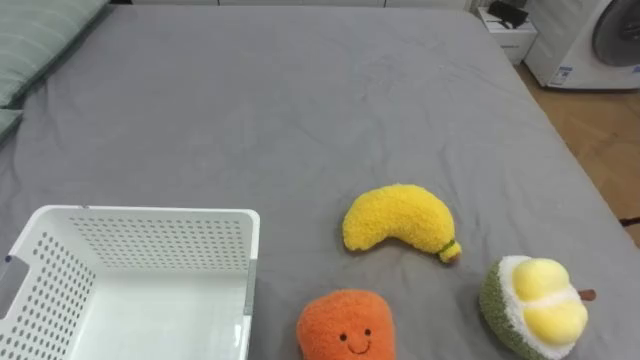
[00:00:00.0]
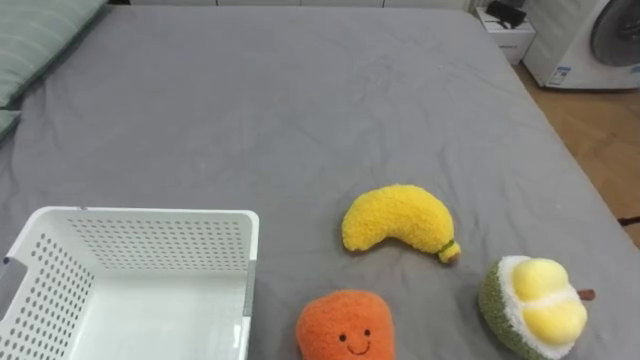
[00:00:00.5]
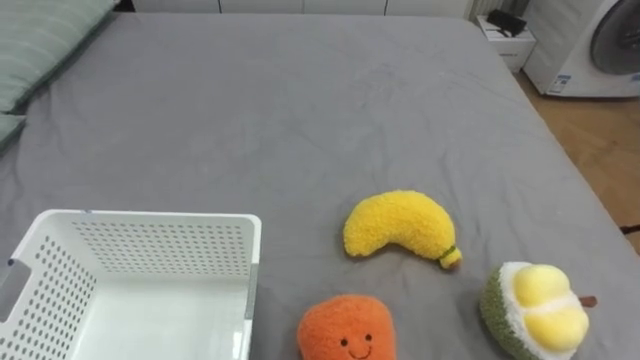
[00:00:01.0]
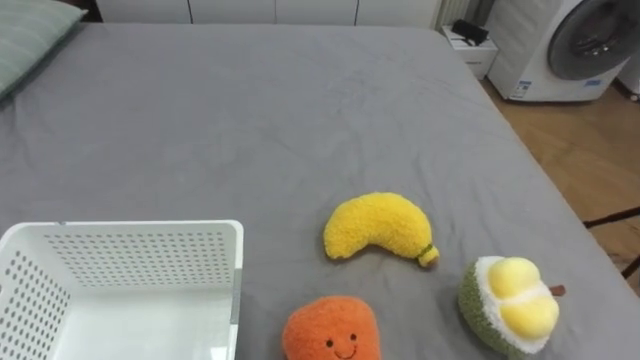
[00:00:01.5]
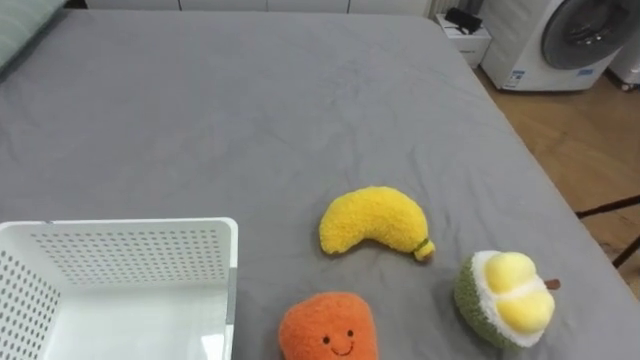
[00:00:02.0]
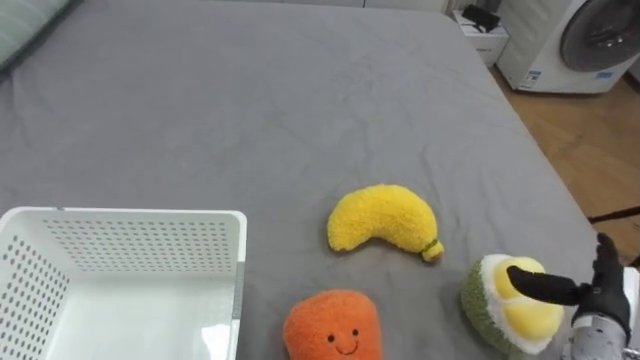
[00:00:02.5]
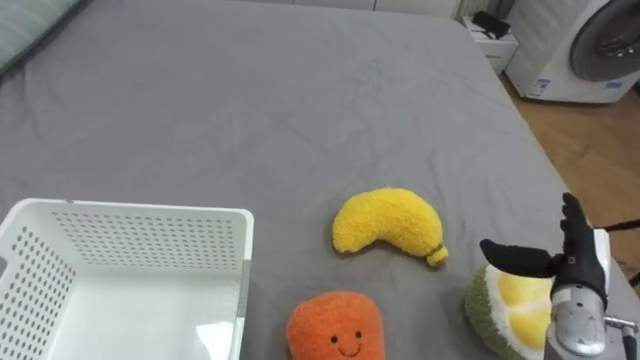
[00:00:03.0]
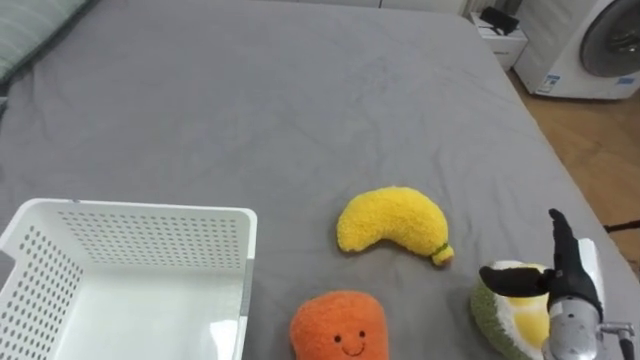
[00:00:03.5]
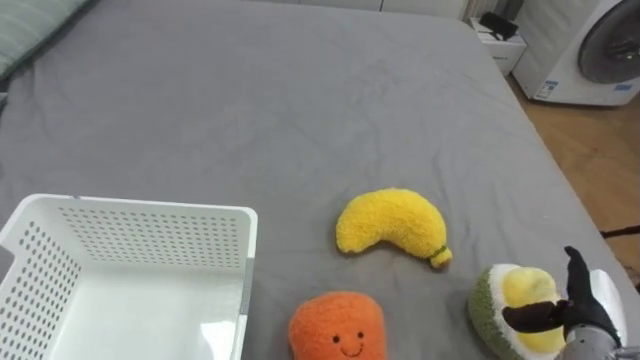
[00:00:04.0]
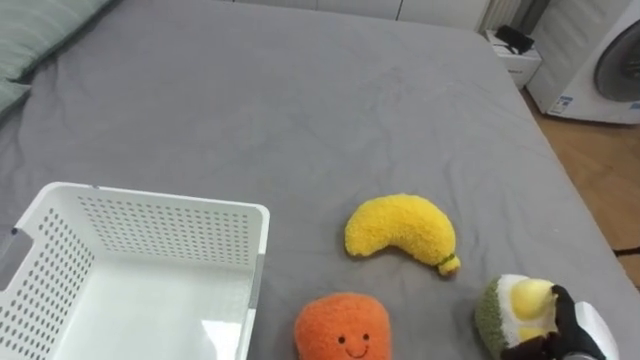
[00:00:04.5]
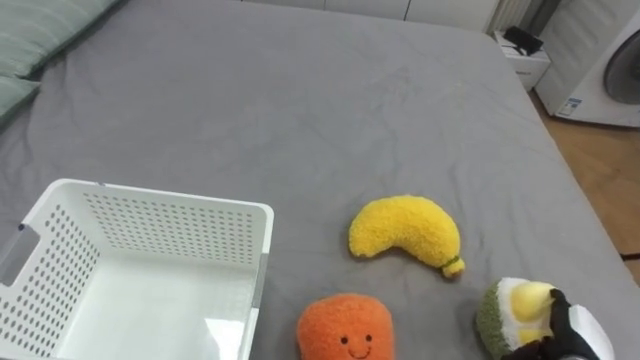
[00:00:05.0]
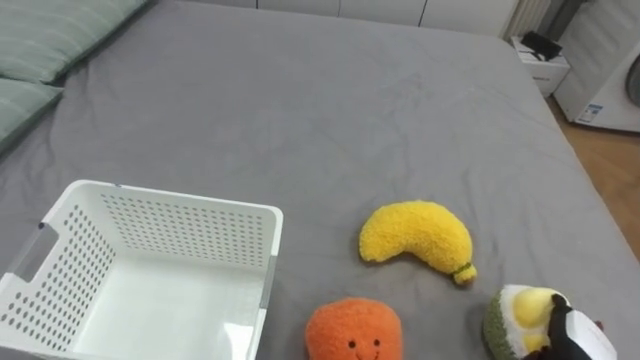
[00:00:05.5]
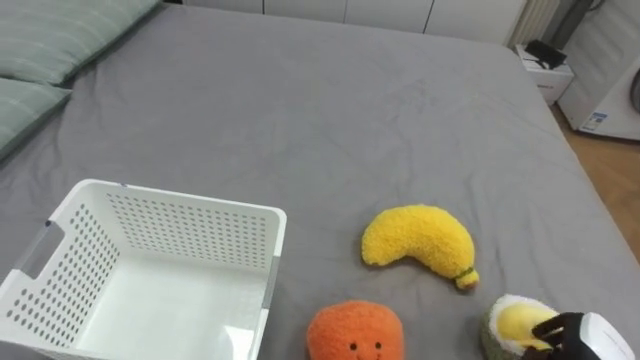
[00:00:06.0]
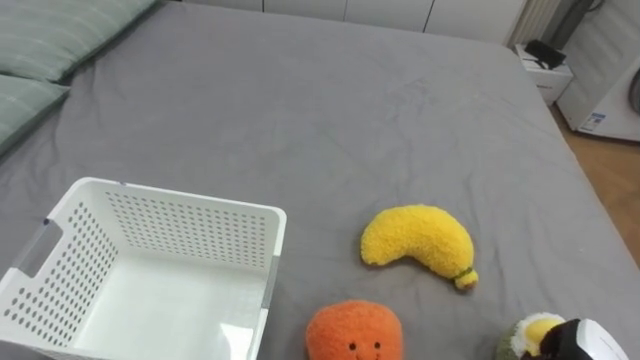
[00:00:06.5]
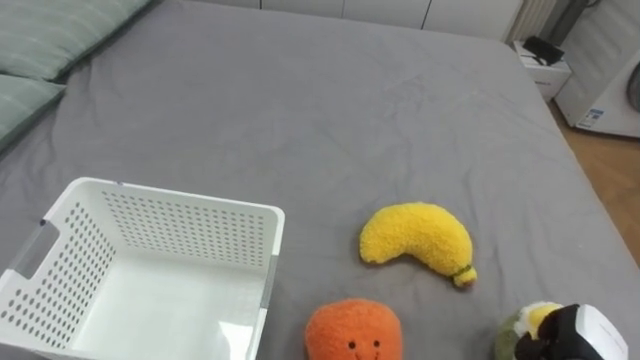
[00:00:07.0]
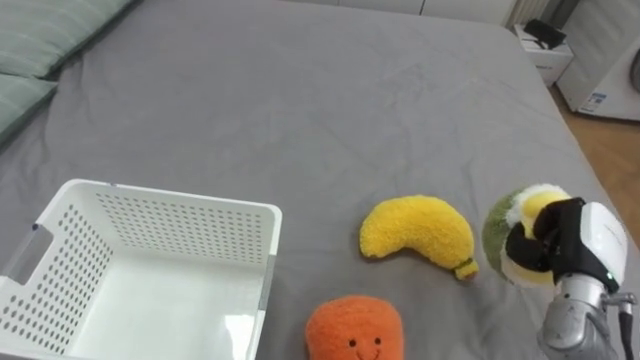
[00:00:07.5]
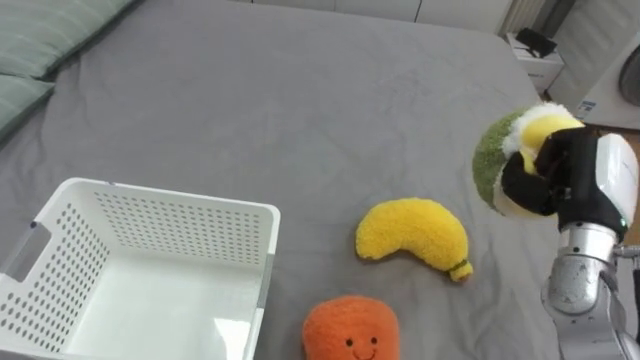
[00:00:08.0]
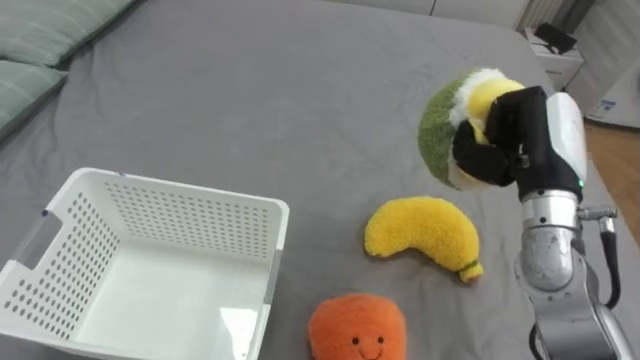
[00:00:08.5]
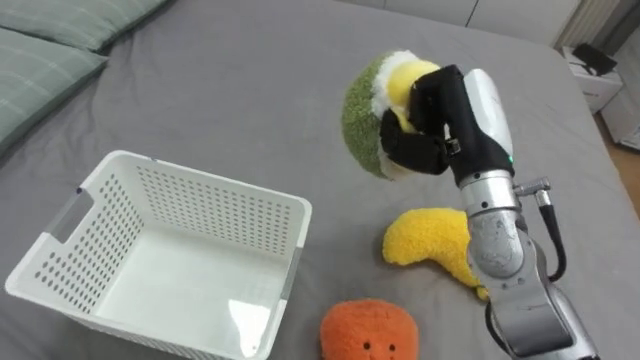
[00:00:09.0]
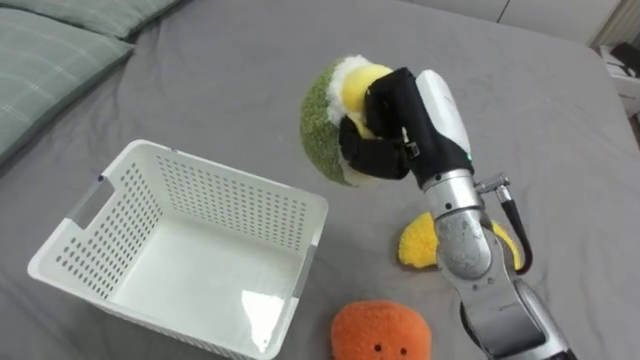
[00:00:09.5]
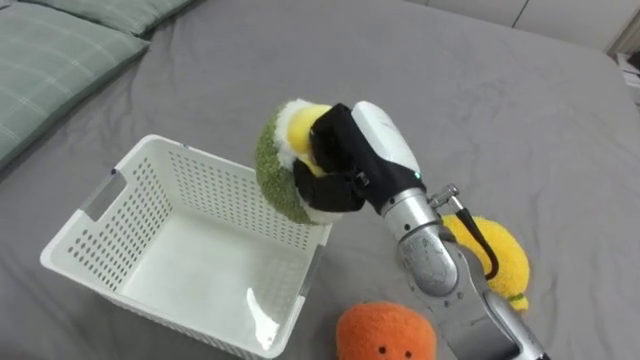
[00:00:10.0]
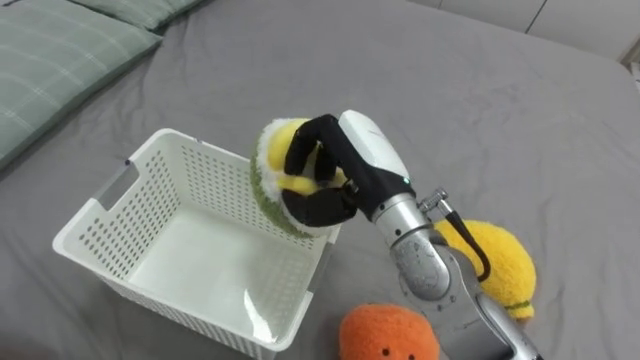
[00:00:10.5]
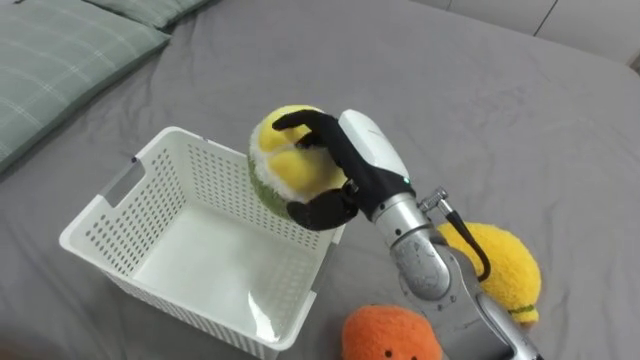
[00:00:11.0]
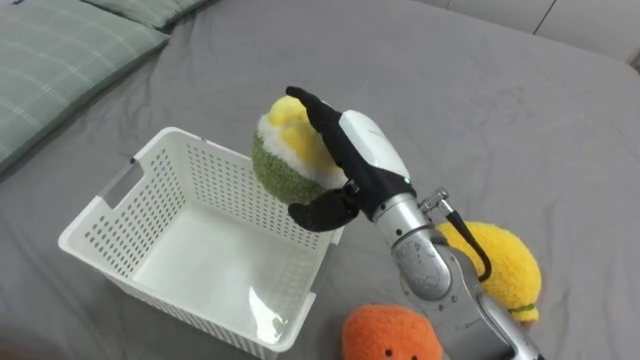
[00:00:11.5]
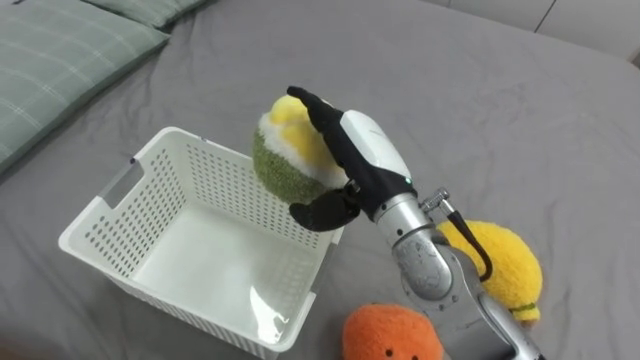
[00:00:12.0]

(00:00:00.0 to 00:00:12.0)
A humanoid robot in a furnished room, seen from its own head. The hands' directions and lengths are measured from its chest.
Task of the whole recording: Put the toys on the bed into the basket on the left.
00:00:04.0 - 00:00:06.0: The right hand ends up some 5 cm from where it was, and closes.
00:00:06.0 - 00:00:08.0: The right hand travels upward and forward by some 25 cm, and closes its fingers.
00:00:08.0 - 00:00:10.0: The right hand heads to the left, covering approximately 25 cm.
00:00:10.0 - 00:00:12.0: The right hand opens its fingers.

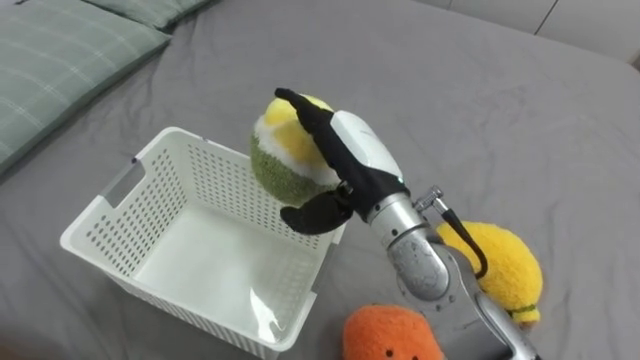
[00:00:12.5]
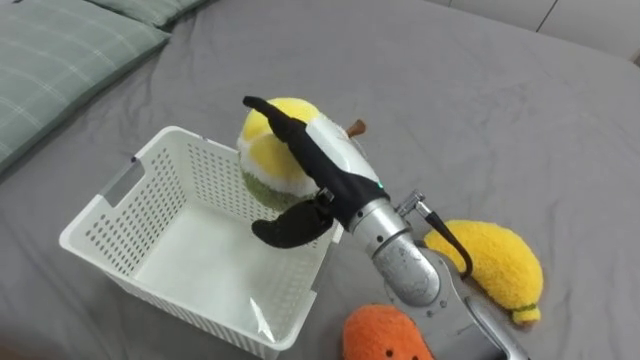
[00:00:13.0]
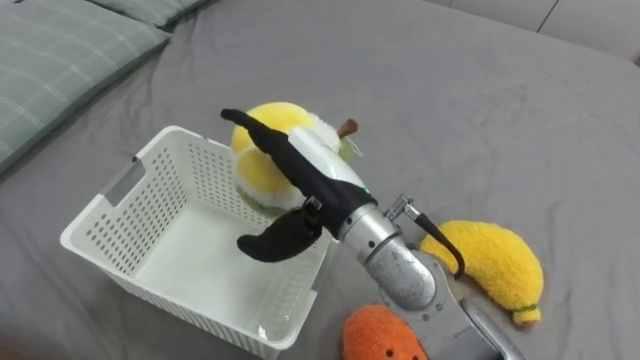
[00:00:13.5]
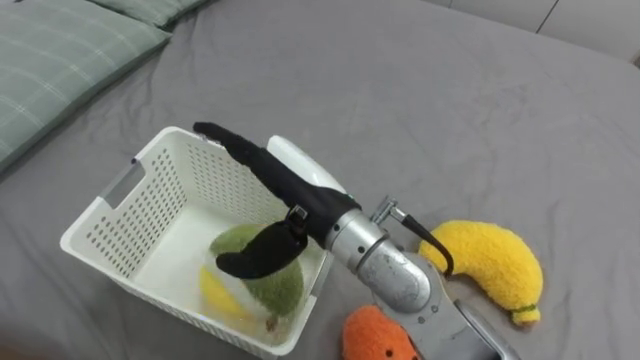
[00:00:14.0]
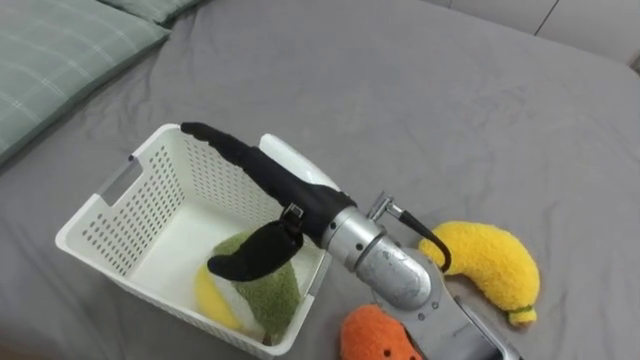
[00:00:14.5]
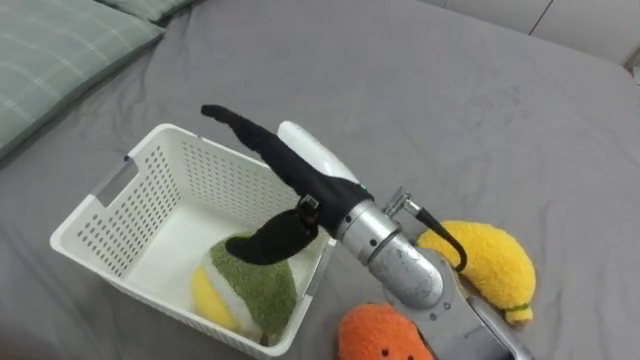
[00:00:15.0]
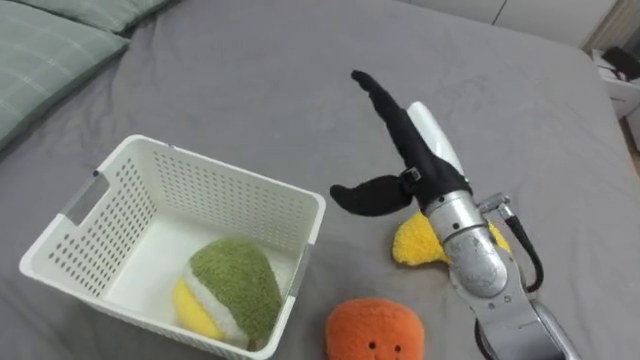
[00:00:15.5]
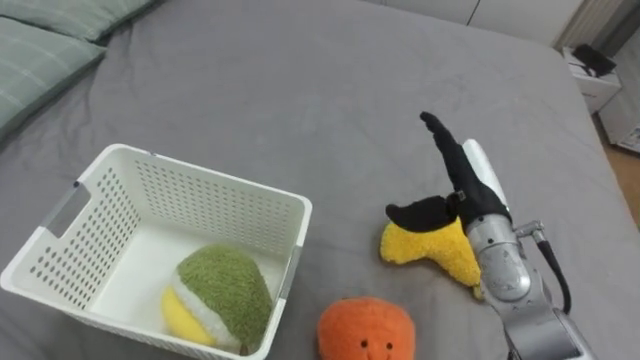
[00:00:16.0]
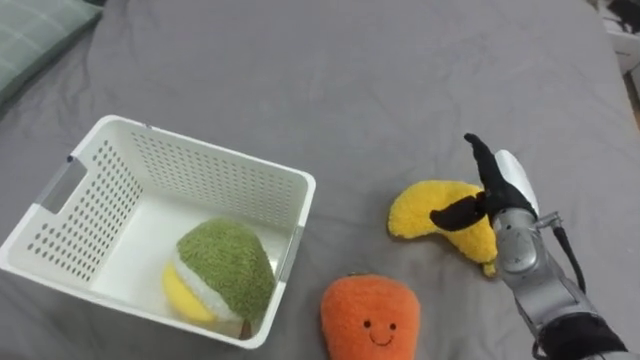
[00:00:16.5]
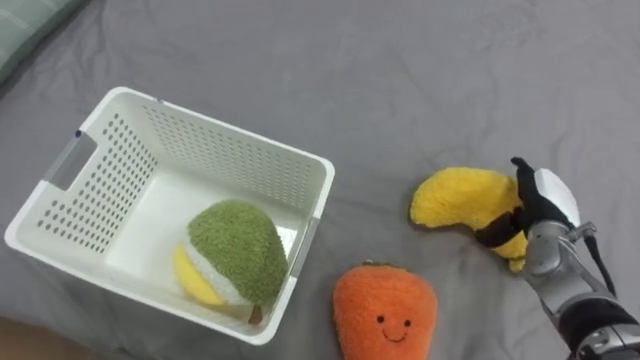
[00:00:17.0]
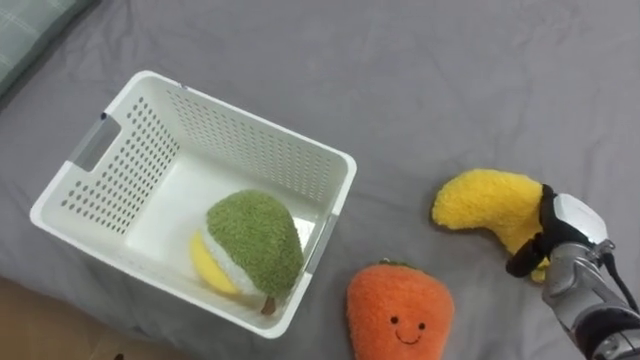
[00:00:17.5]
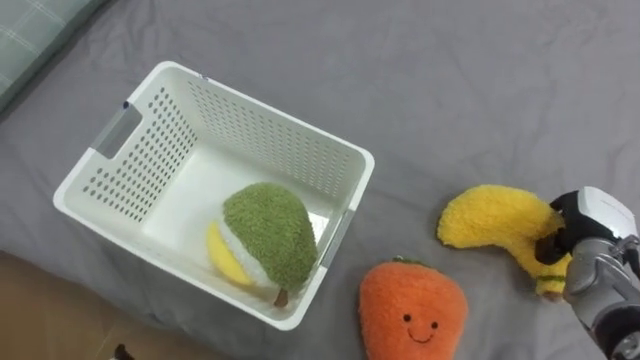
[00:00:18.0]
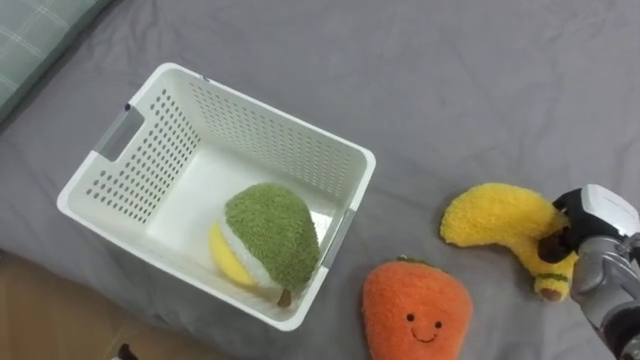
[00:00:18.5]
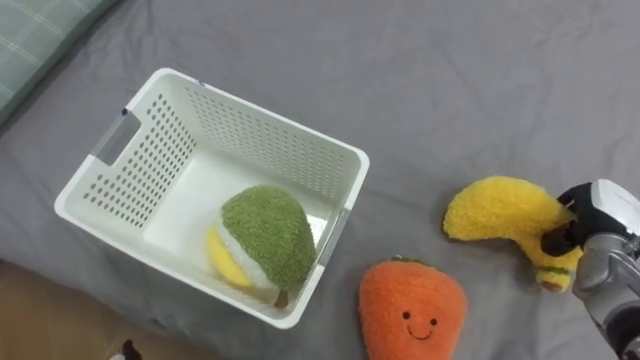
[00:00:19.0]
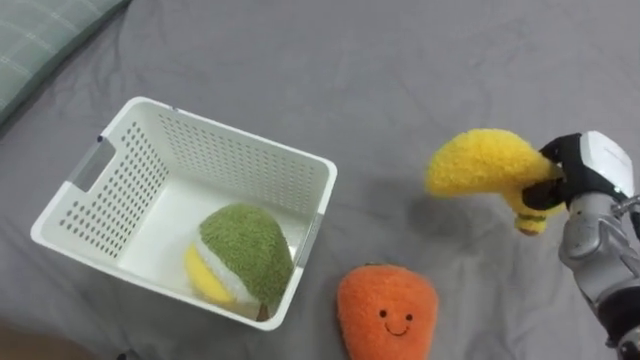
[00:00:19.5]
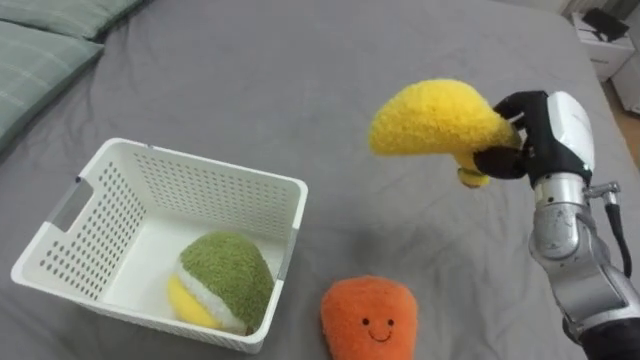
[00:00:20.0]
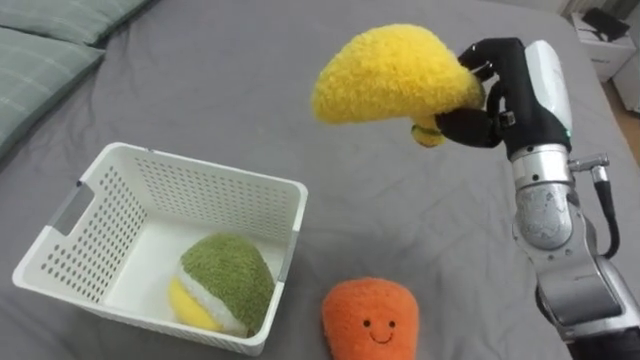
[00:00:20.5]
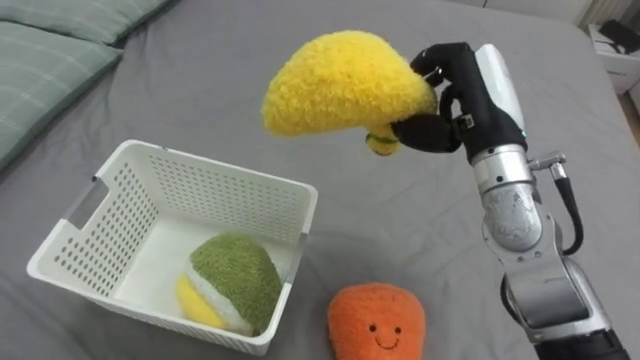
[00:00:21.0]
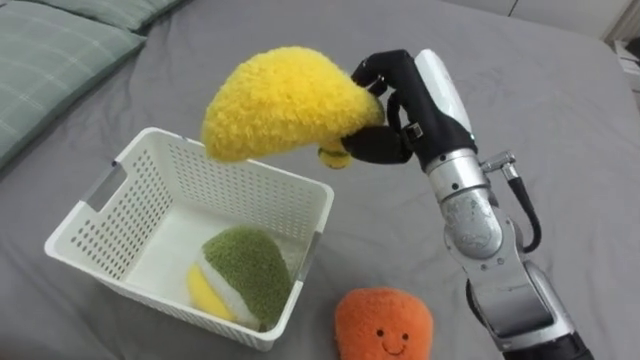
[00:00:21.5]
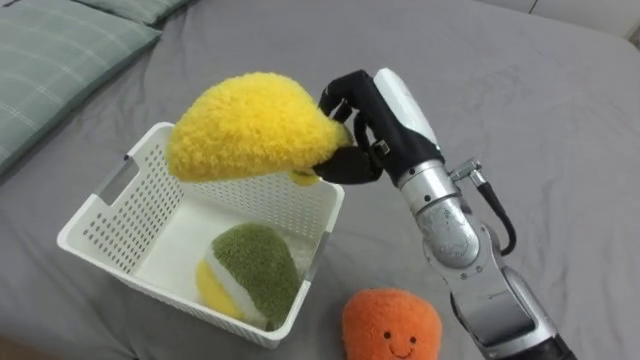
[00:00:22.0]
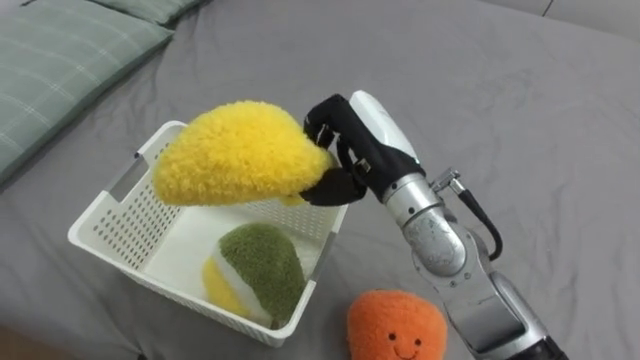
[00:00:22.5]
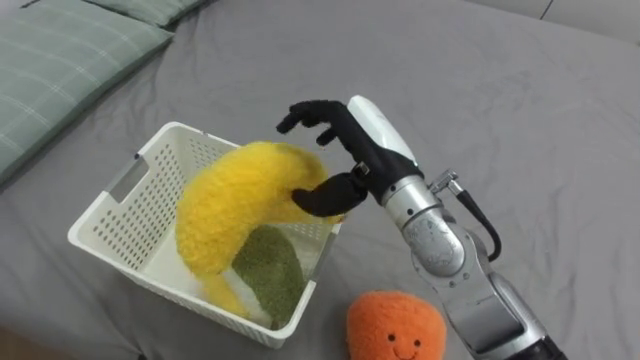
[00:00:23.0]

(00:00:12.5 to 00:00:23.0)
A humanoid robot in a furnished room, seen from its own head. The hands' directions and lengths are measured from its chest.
Task of the whole recording: Put the toys on the bed into the basket on the left.
00:00:12.5 - 00:00:14.5: The right hand travels to the left by roughly 5 cm.
00:00:14.5 - 00:00:16.5: The right hand moves to the right and downward, about 30 cm.
00:00:16.5 - 00:00:19.0: The right hand travels to the right by approximately 15 cm, and closes.
00:00:19.0 - 00:00:21.0: The right hand goes about 25 cm to the left and upward.
00:00:21.0 - 00:00:23.0: The right hand heads to the left, covering about 10 cm, and opens its fingers.
